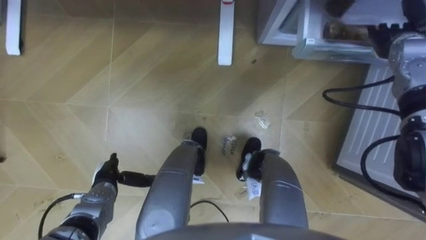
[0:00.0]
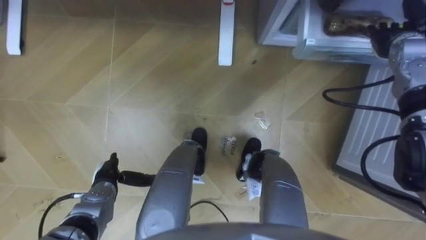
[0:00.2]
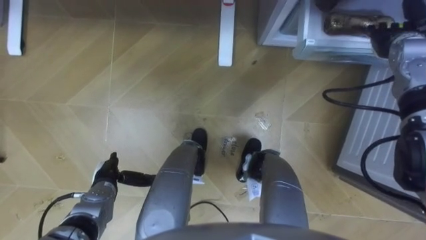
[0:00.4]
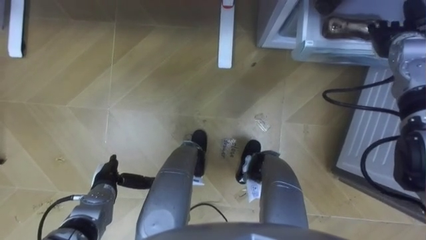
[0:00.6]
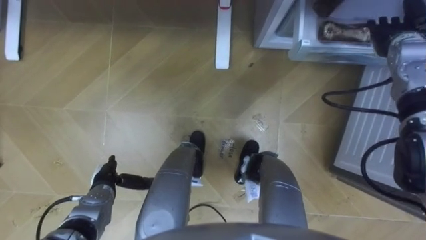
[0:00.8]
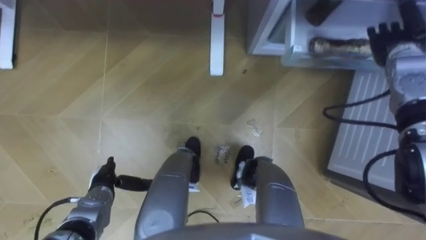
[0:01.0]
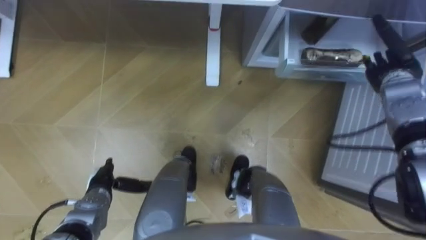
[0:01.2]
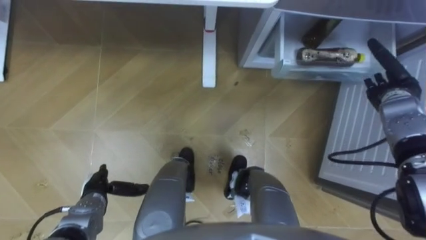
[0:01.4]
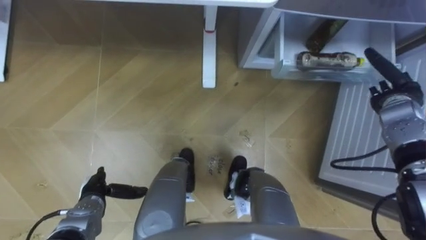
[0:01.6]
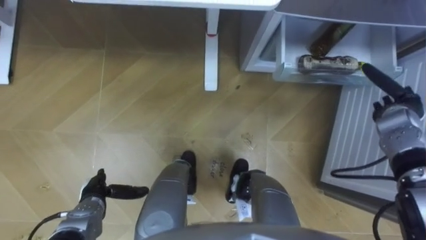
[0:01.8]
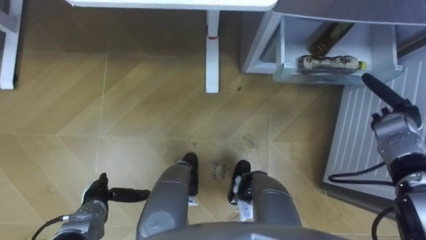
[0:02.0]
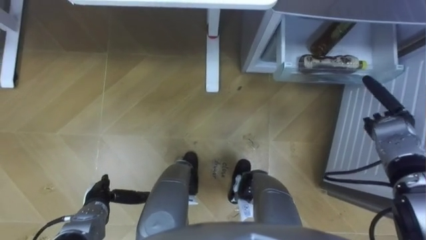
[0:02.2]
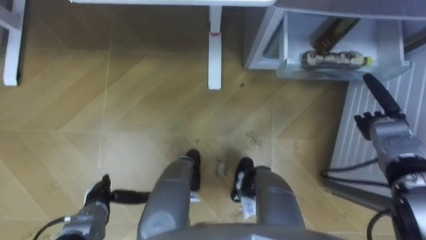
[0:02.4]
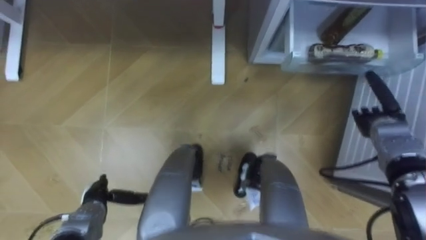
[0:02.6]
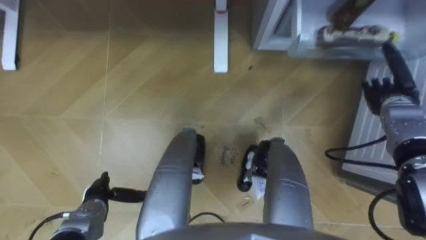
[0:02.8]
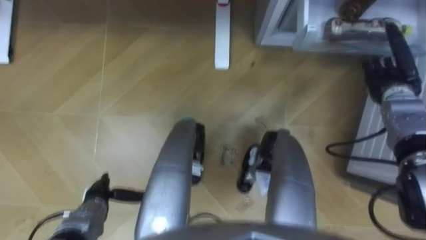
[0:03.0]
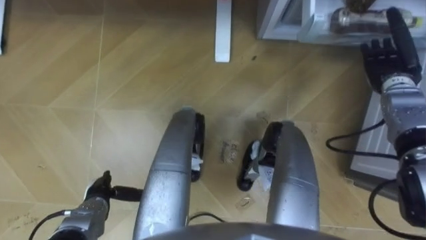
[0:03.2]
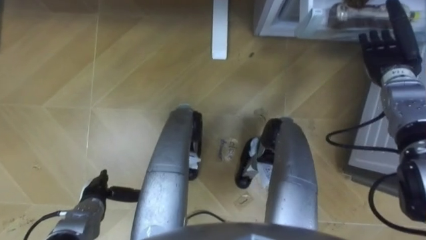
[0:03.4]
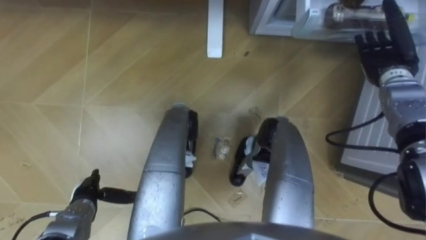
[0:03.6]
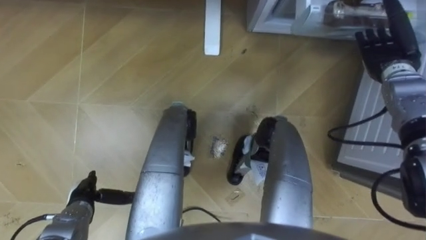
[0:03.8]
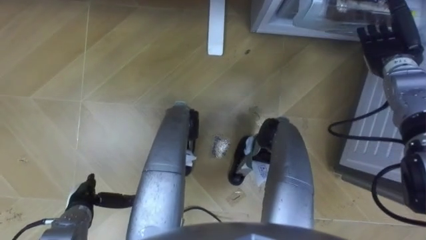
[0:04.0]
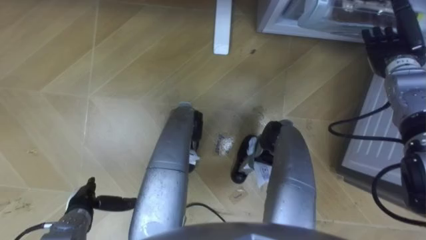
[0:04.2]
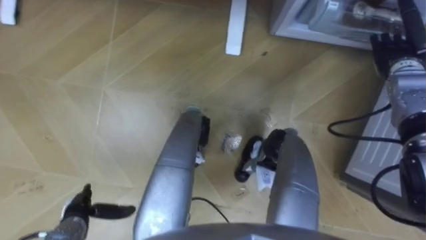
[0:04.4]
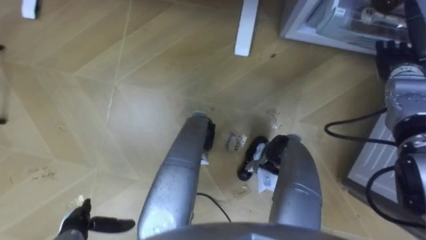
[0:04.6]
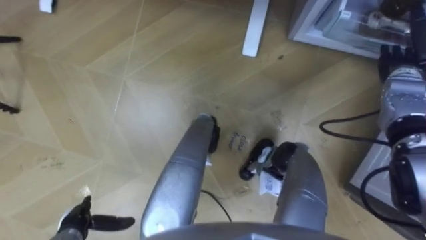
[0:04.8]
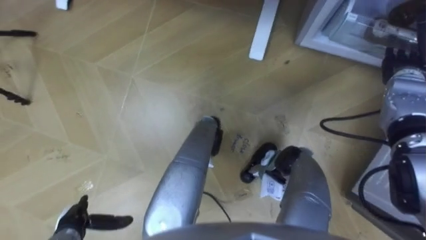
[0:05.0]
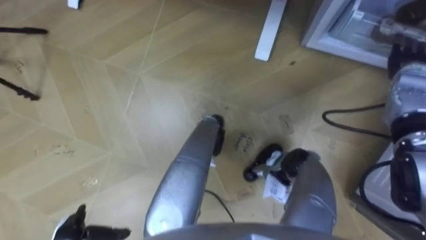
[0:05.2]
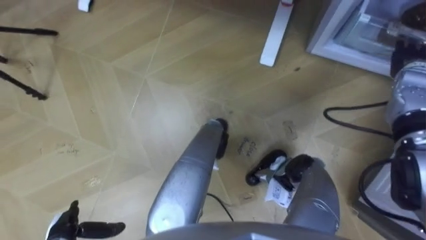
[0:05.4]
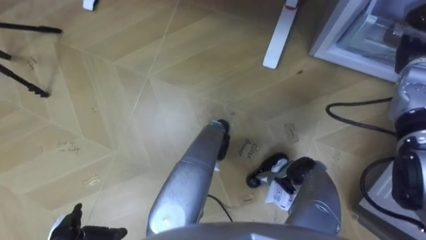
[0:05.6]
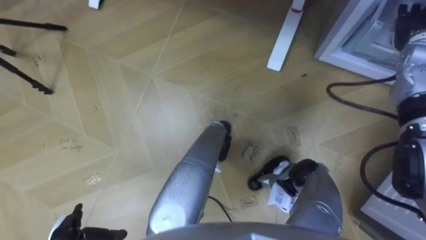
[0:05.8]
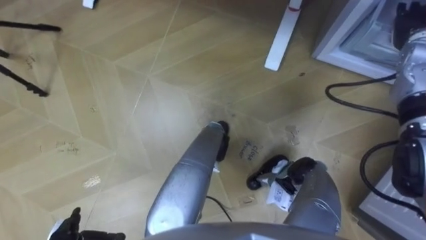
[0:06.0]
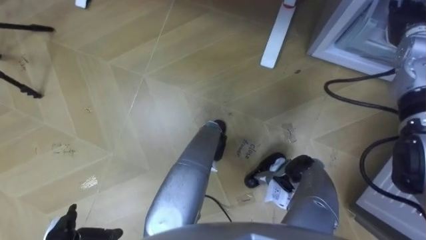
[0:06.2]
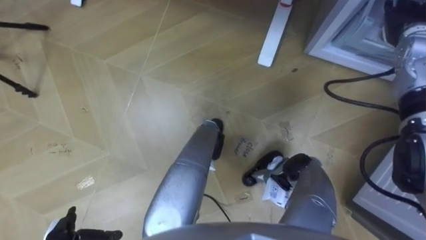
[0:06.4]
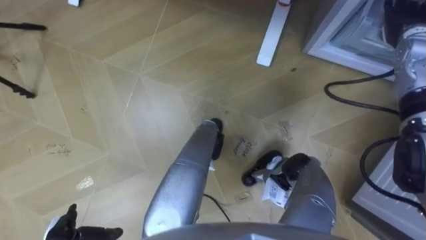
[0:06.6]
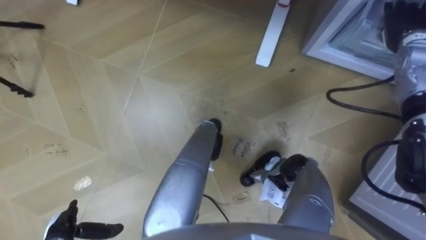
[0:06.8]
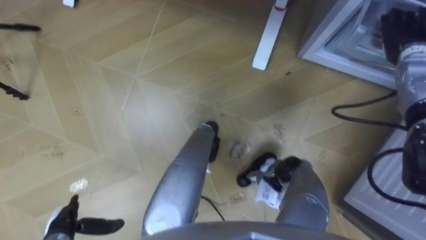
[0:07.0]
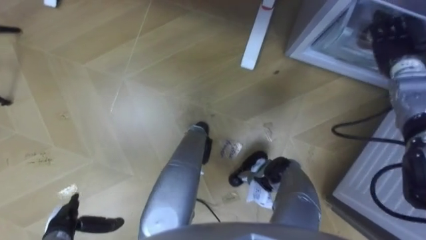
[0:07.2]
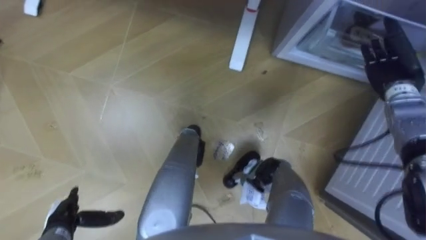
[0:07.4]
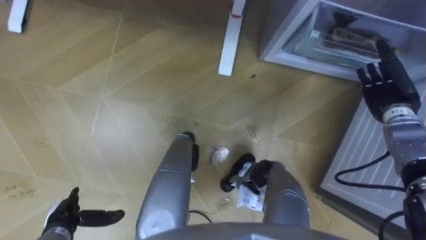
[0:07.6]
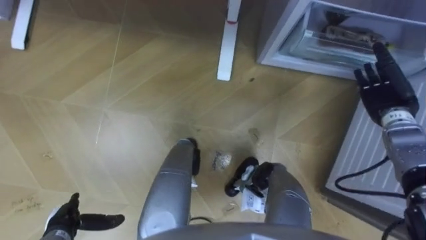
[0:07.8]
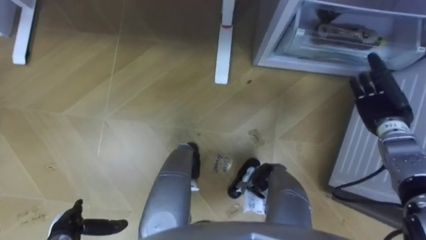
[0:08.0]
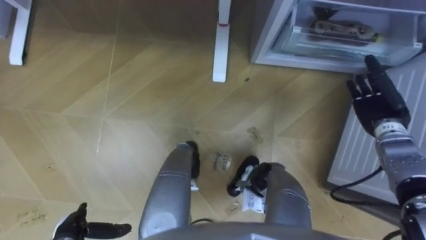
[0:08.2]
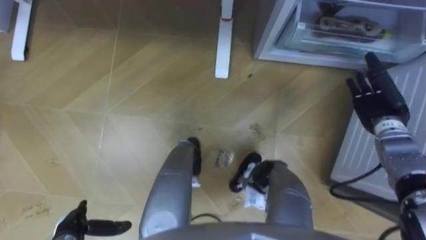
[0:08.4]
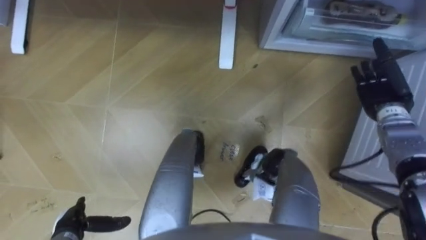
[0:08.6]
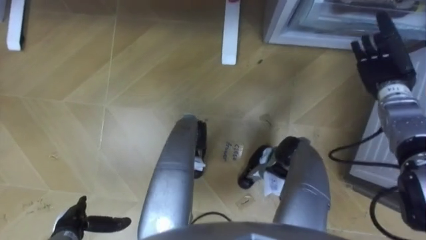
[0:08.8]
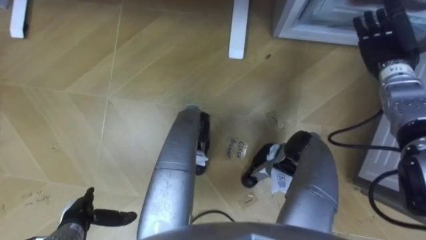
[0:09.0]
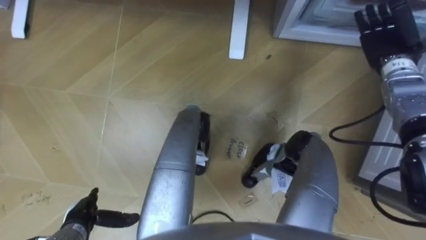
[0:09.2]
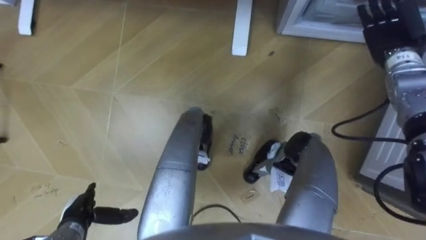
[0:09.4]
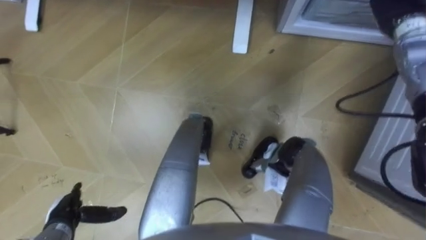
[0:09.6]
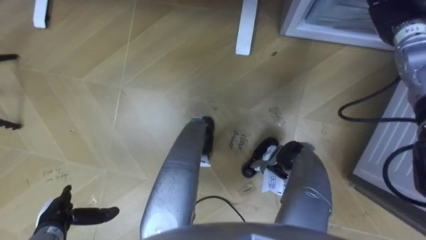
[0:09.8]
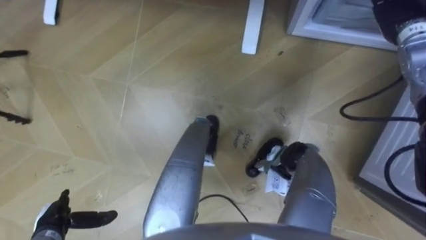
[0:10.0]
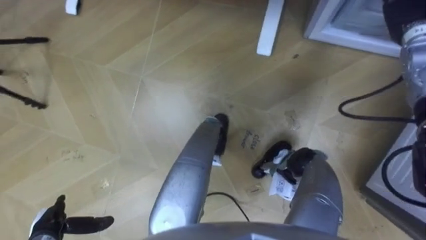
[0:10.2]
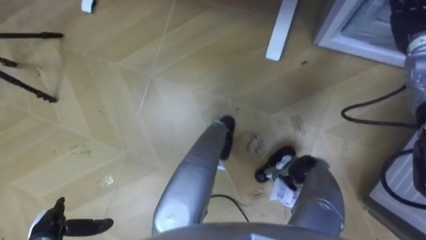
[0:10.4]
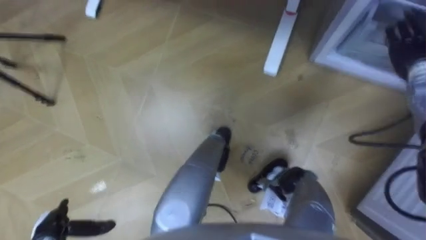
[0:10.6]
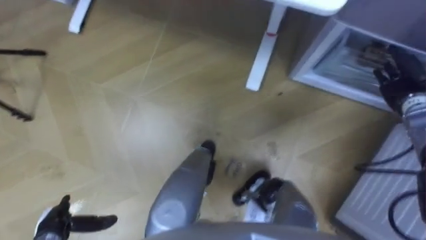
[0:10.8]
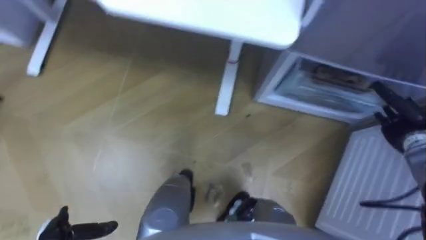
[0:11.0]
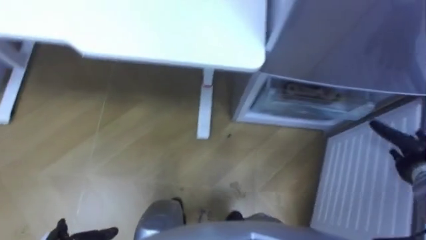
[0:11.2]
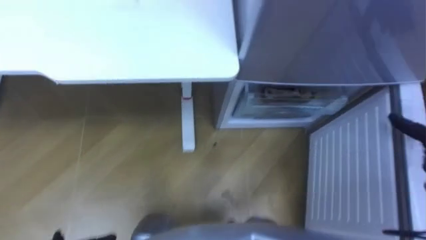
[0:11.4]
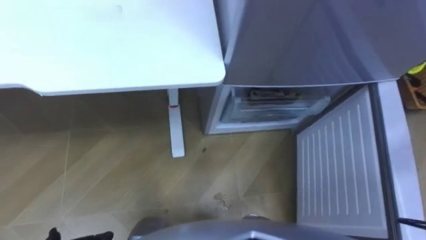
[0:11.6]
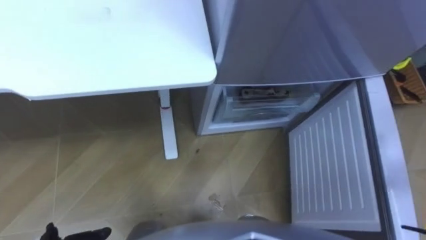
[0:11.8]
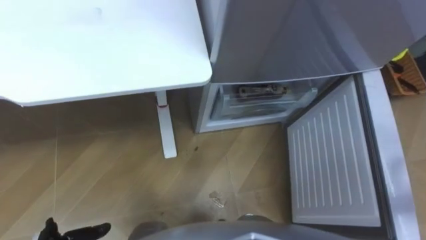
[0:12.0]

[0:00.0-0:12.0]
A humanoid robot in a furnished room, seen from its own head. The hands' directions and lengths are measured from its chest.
Task of the whole recording: Place the drink on the table on the bottom shelf of the refrigerator, then close the drawer and the refrigerator door.
0:00.0 to 0:01.6: The right hand moves downward and backward, approximately 10 cm.
0:03.0 to 0:04.4: The right hand moves roughly 5 cm. The left hand ends up some 5 cm from where it was.
0:04.4 to 0:06.0: The right hand heads upward, covering some 5 cm.
0:06.0 to 0:07.6: The right hand moves downward and backward, roughly 15 cm.
0:07.6 to 0:09.0: The right hand goes about 10 cm forward and upward.
0:09.0 to 0:10.4: The left hand shifts by about 5 cm.

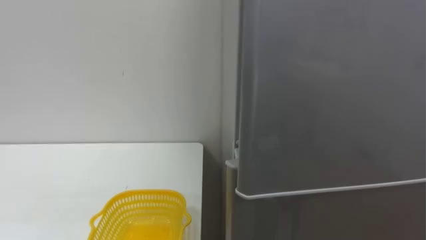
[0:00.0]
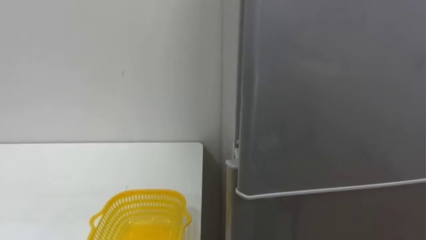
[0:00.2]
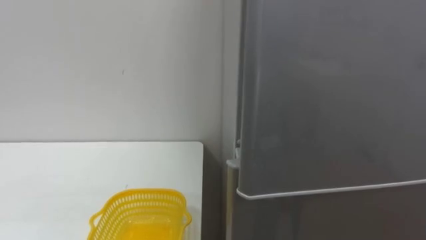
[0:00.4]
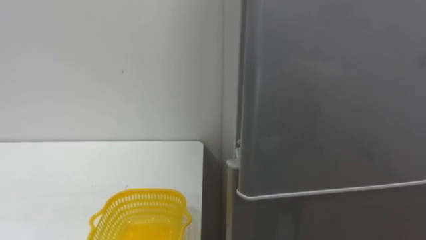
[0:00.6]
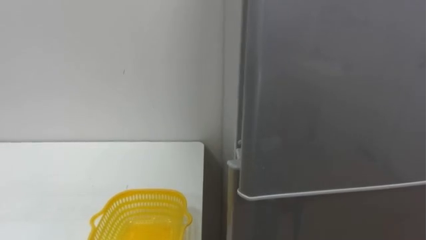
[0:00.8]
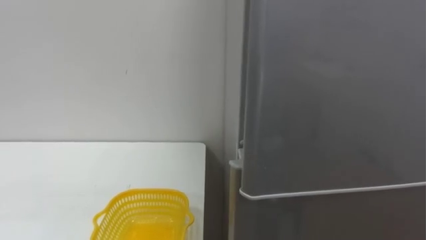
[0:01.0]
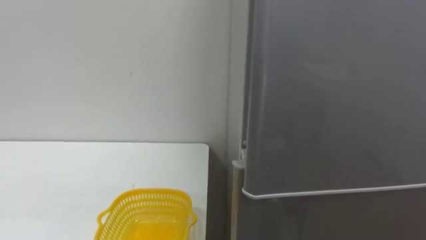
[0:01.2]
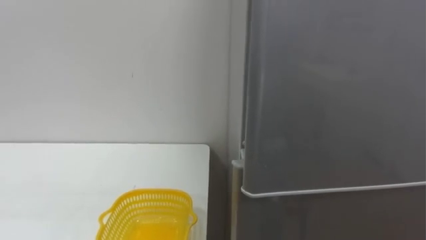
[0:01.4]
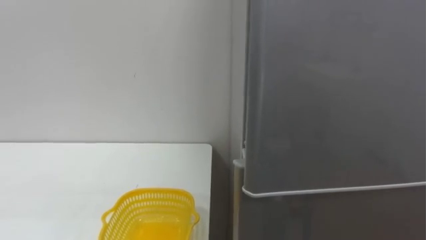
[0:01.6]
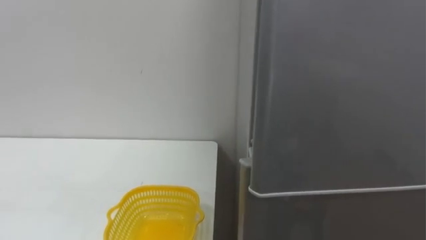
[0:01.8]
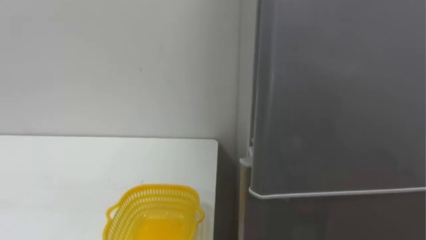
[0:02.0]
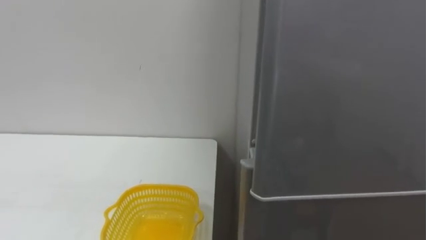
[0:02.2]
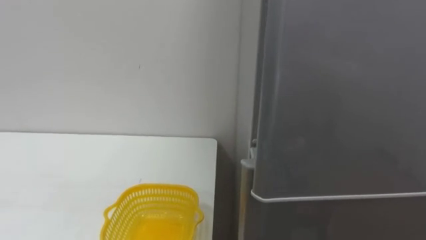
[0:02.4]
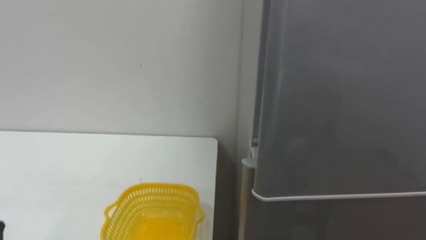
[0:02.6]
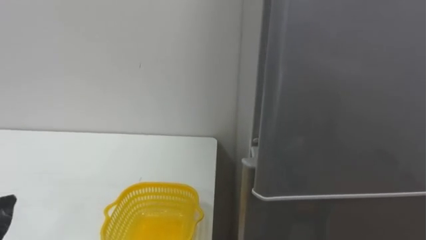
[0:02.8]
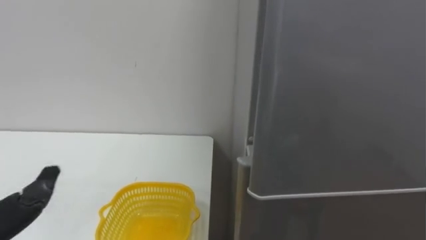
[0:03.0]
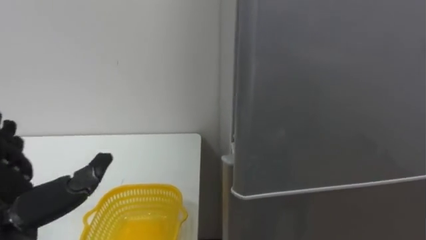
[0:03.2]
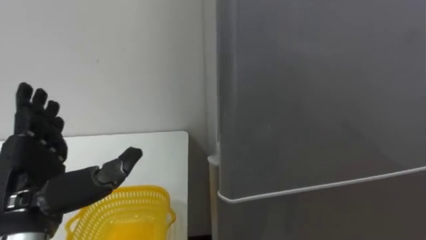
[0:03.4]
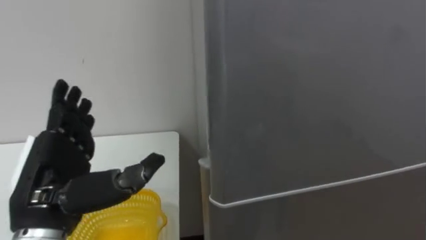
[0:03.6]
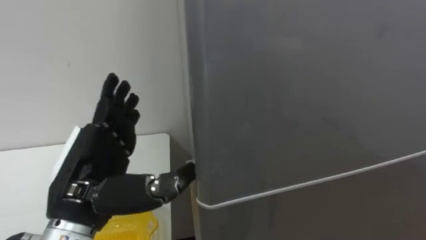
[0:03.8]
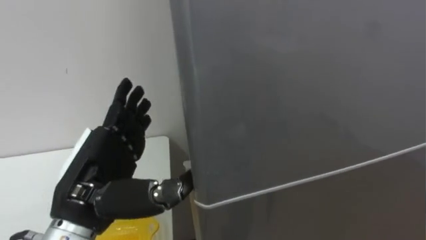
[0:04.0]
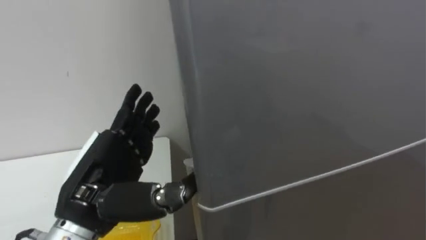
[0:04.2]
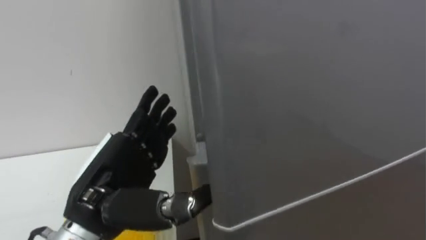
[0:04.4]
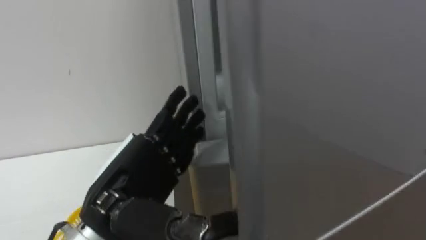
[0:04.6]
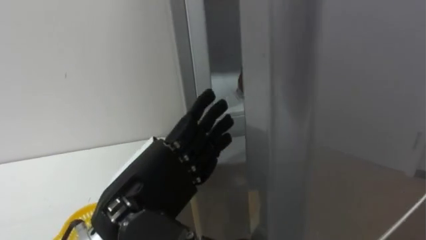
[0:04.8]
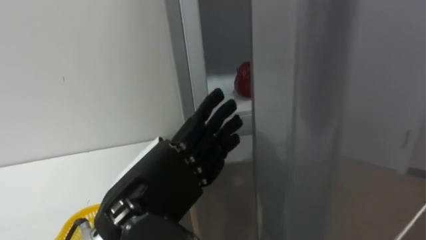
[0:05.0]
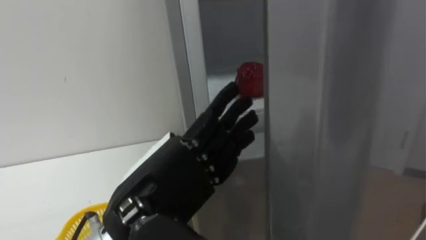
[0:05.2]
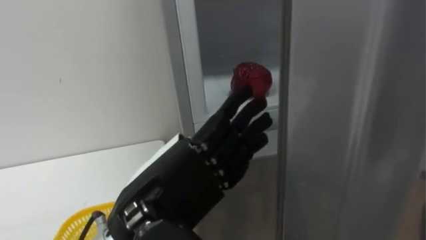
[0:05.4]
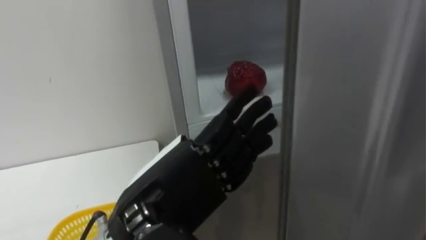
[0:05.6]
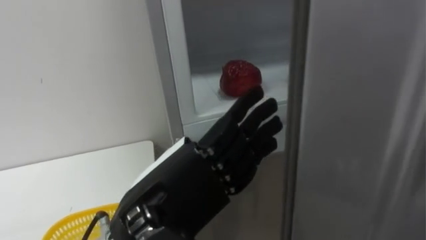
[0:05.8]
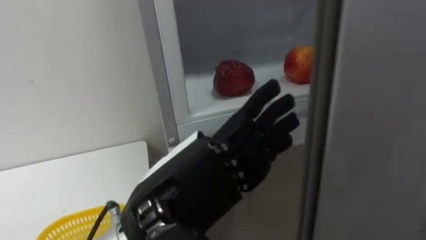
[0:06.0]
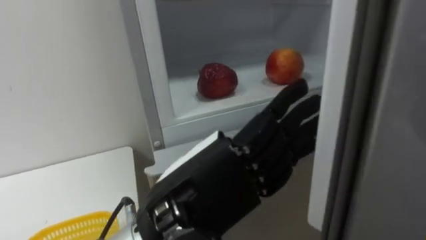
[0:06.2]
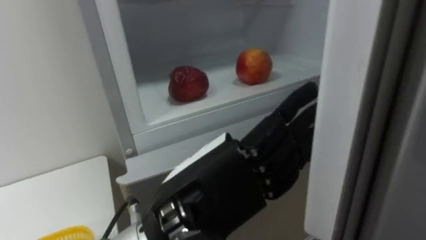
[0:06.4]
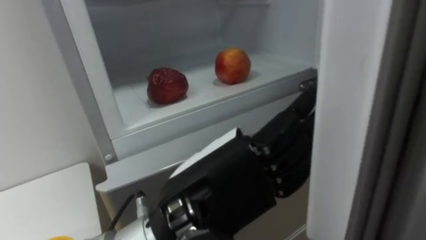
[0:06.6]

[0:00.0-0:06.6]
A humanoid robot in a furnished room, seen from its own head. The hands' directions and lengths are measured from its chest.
Task of the whole recording: Open the refrigerator door, take out the apple and the pomegranate, place them in the fruit basket on the left, and close the refrigerator door.
0:05.0 to 0:06.6: The left hand heads to the right, covering roughly 5 cm.
